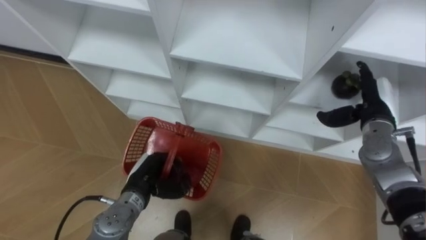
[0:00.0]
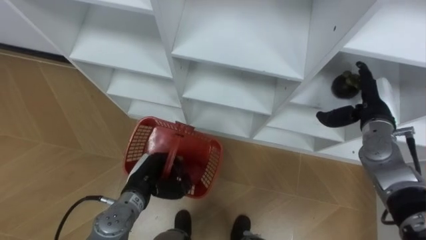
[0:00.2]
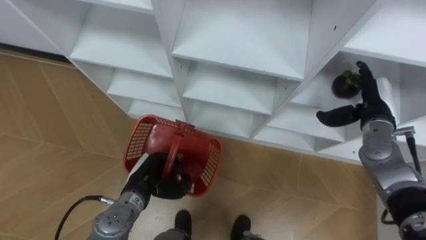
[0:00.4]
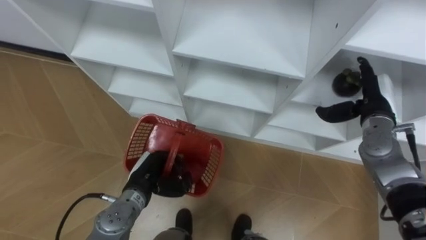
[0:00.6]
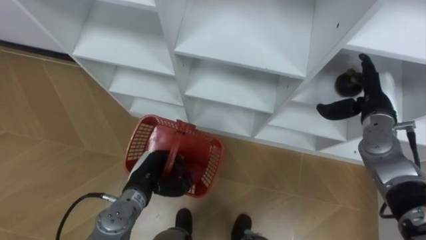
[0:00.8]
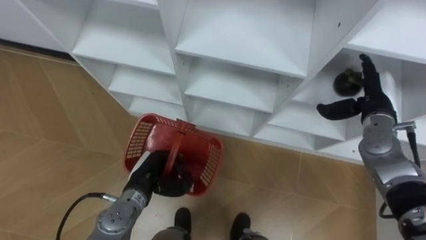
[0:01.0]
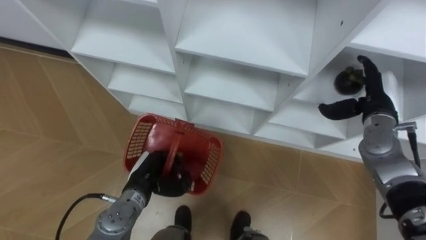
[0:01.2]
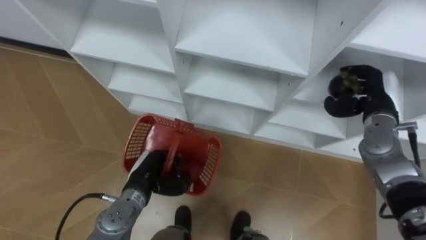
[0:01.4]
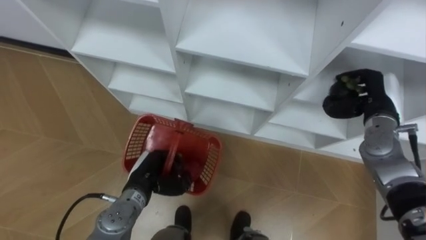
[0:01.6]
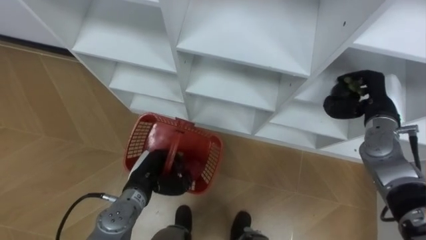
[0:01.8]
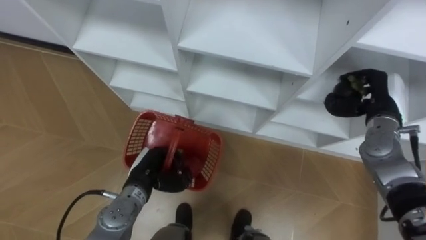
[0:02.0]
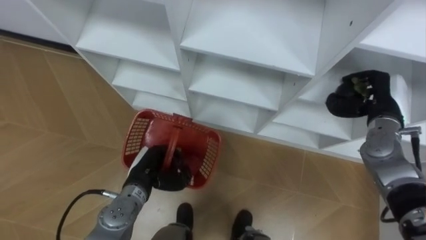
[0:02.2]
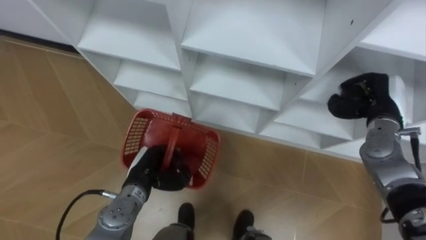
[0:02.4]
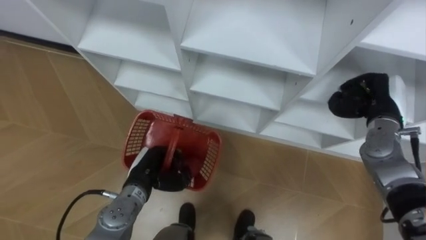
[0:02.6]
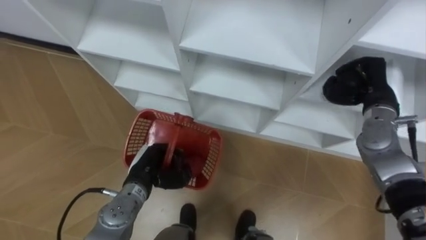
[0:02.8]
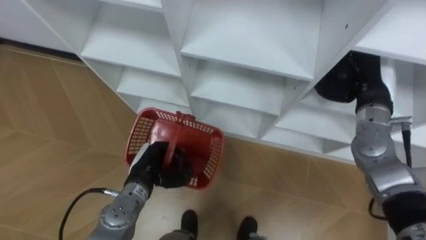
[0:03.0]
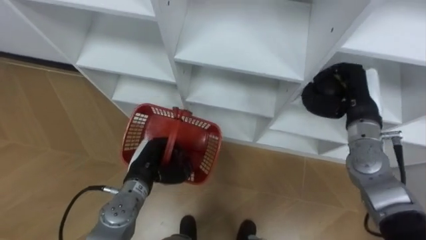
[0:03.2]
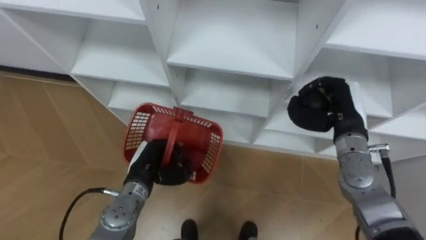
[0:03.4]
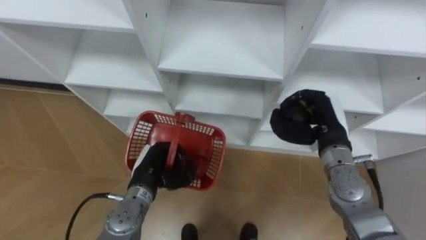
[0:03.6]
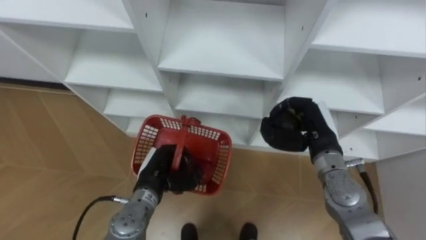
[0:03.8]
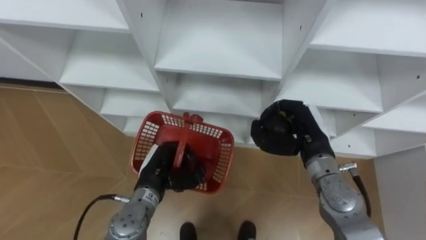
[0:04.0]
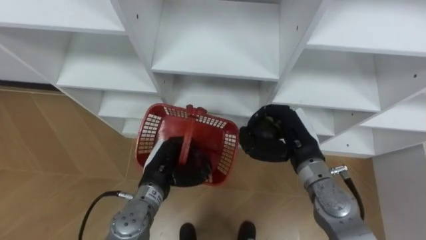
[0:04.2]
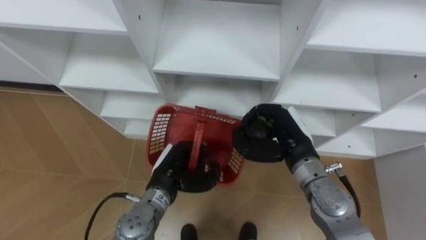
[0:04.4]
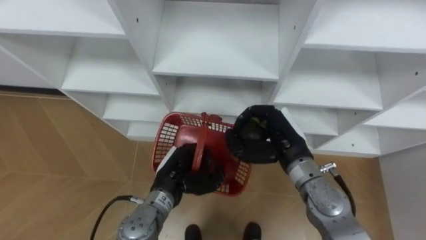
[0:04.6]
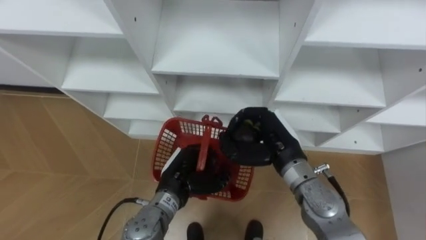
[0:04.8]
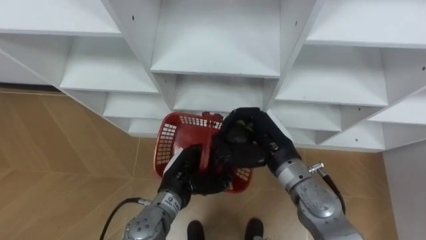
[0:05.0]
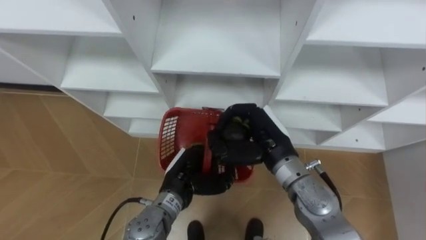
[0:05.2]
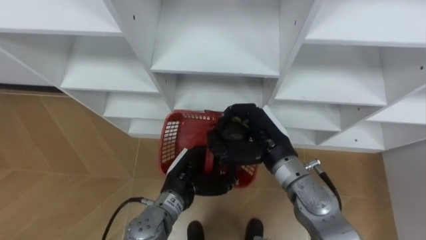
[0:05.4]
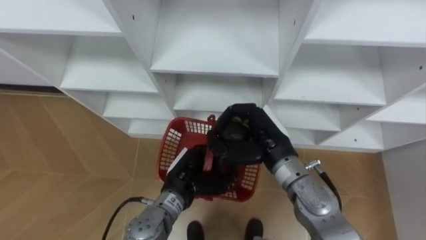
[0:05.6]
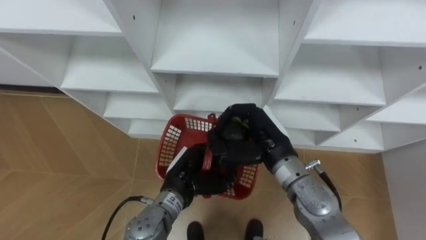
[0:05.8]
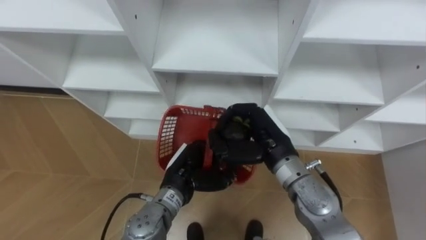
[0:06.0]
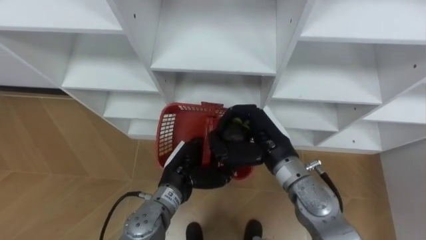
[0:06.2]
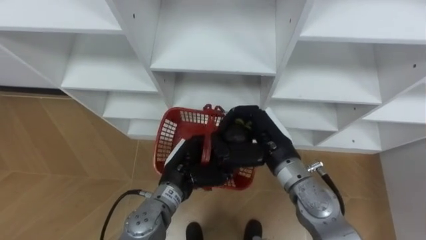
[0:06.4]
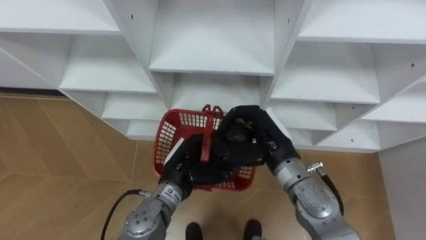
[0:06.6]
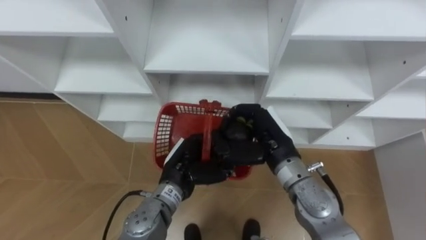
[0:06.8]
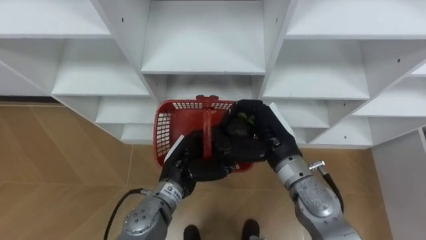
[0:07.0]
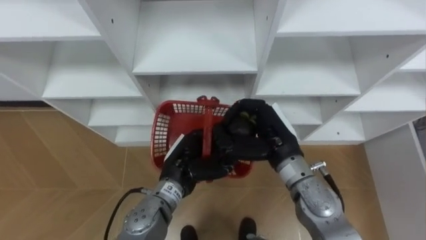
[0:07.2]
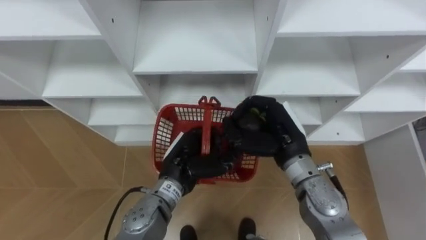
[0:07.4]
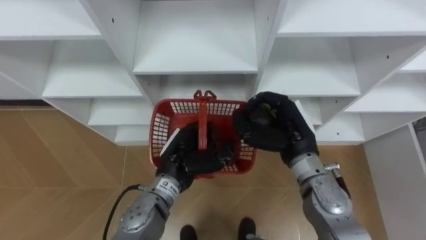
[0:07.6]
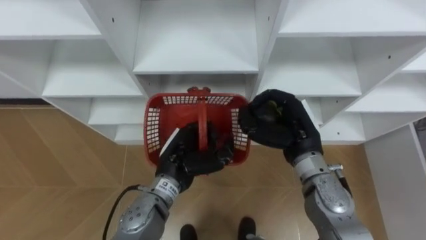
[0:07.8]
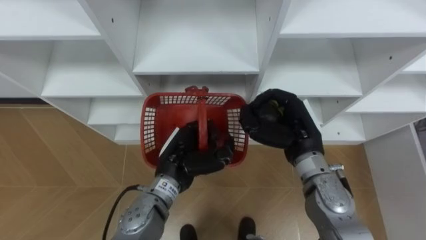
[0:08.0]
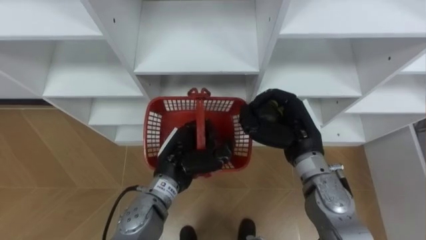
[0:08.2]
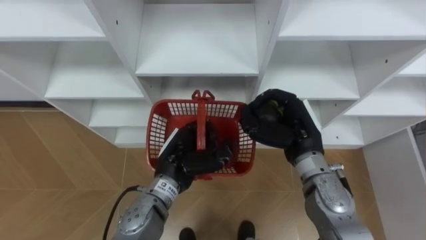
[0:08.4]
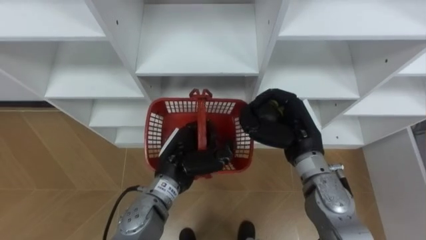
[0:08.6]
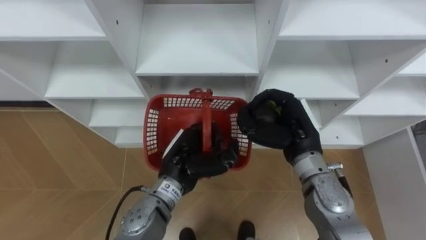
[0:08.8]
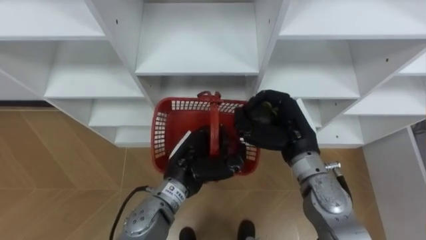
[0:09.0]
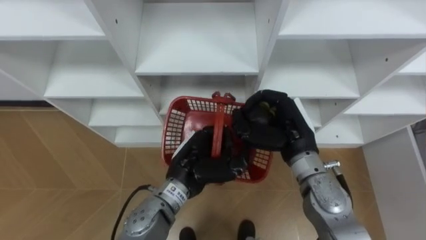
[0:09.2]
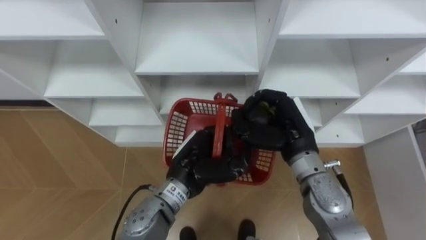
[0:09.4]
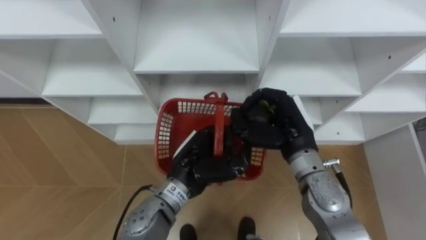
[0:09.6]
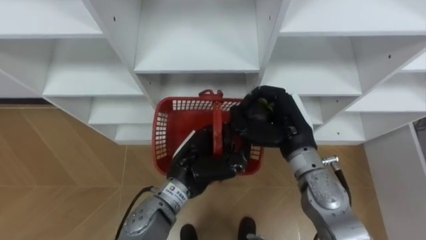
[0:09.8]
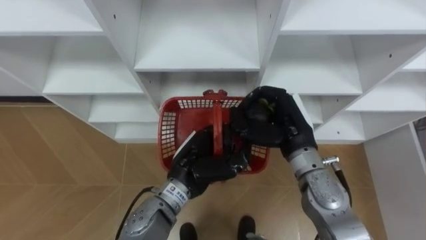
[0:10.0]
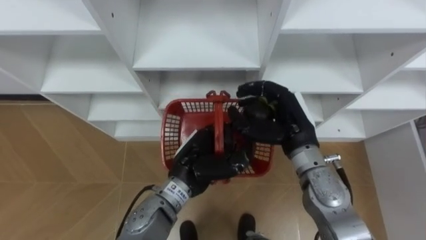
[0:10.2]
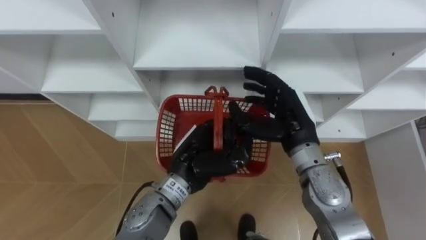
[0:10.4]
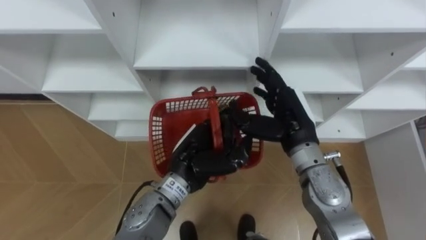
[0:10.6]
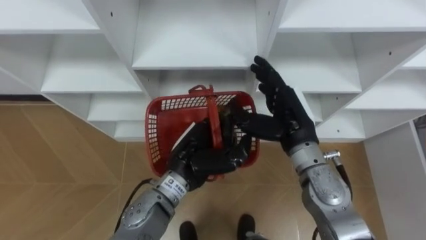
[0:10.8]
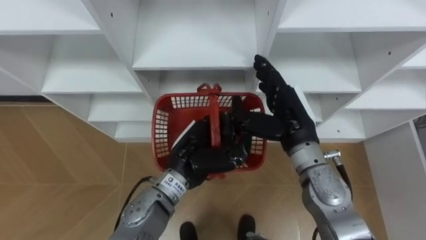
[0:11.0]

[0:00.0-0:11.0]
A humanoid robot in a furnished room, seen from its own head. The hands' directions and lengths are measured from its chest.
Task of the whole recording: Hold the basket and collect the fruits from 3 different cells of the closet into it.
0:00.0 to 0:01.6: The right hand closes its fingers.
0:01.6 to 0:03.2: The right hand moves roughly 5 cm.
0:03.2 to 0:04.8: The right hand travels to the left and backward by approximately 15 cm, while the left hand goes some 5 cm to the right.
0:04.8 to 0:06.2: The hands stay close to where they were, moving slightly.
0:06.2 to 0:07.8: The right hand heads to the right, covering approximately 5 cm.
0:07.8 to 0:09.4: There are only small adjustments of the hands.
0:09.4 to 0:11.0: The right hand opens up.

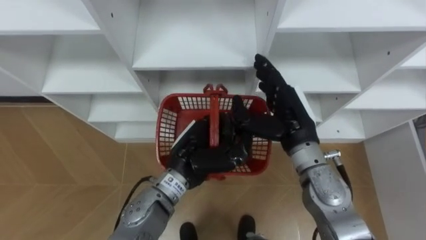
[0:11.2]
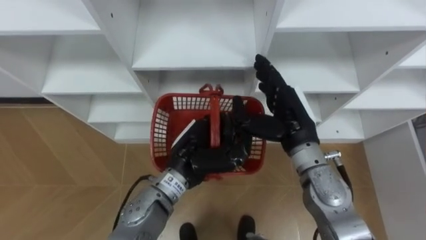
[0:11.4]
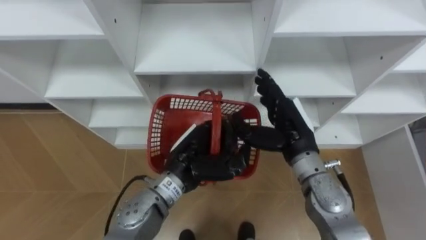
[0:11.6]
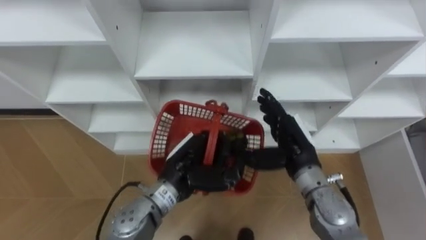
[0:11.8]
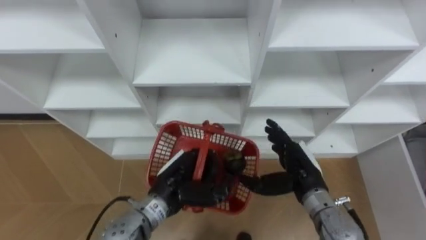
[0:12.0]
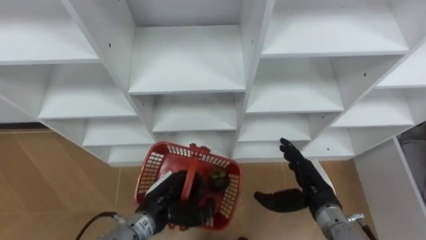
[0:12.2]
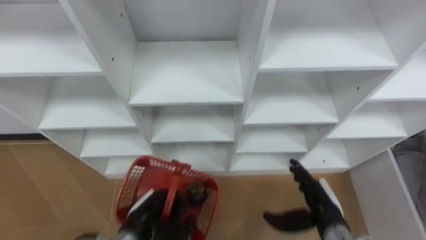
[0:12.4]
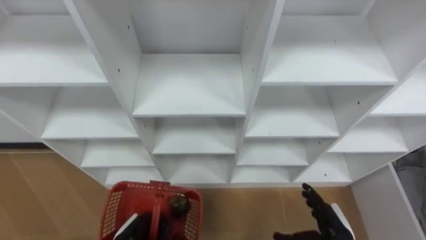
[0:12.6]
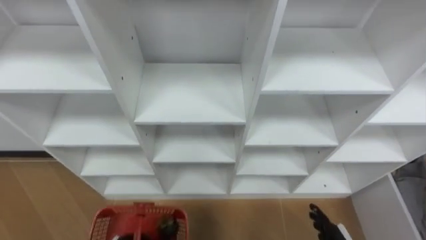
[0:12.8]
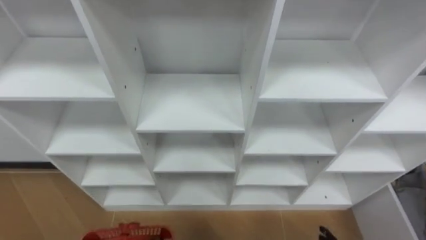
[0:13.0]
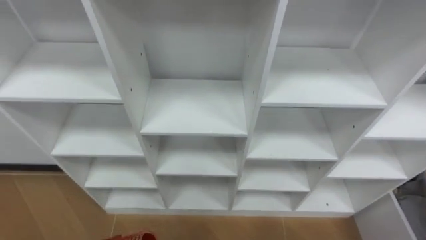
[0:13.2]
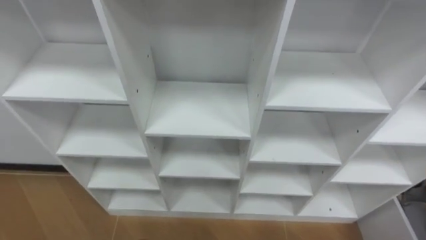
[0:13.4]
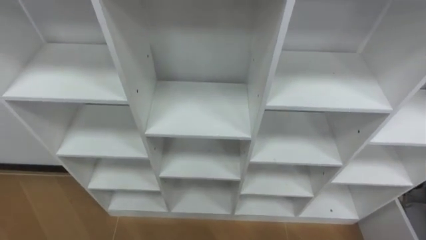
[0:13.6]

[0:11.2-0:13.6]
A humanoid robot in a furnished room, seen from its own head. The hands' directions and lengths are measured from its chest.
Task of the whole recording: Hold the basket and collect the fruits from 3 different cells of the closet into it.
0:11.2 to 0:12.4: The right hand heads downward, backward and to the right, covering approximately 20 cm. The left hand shifts roughly 20 cm downward, to the left and backward.

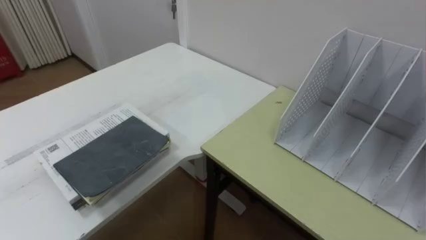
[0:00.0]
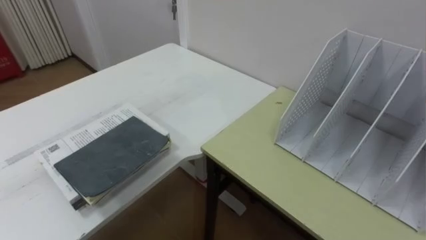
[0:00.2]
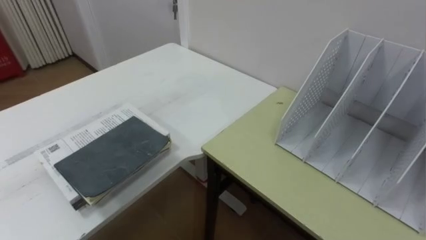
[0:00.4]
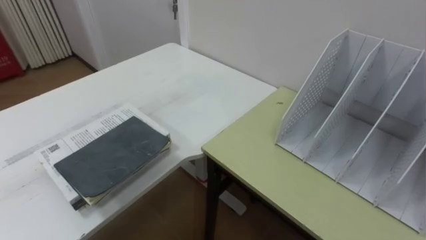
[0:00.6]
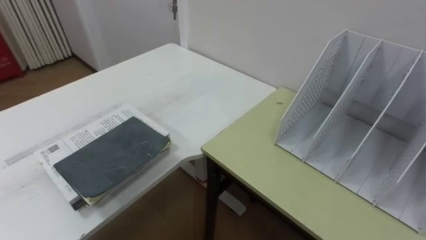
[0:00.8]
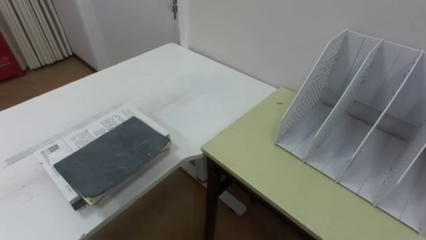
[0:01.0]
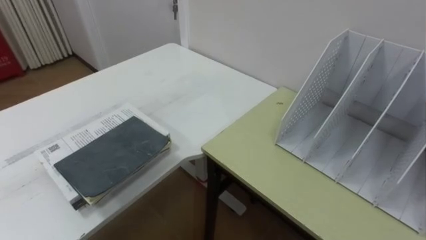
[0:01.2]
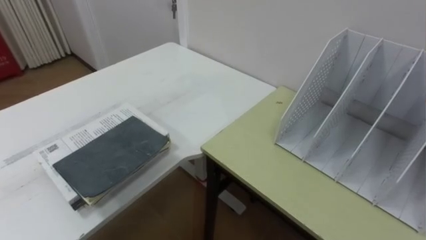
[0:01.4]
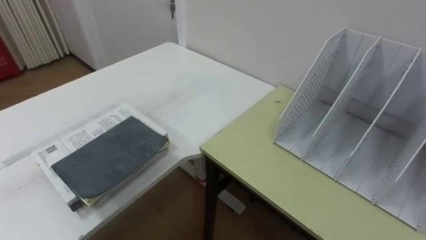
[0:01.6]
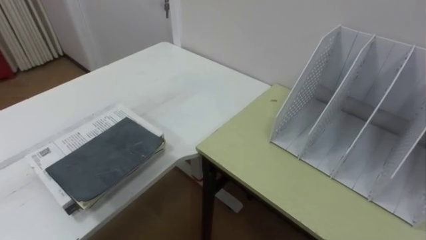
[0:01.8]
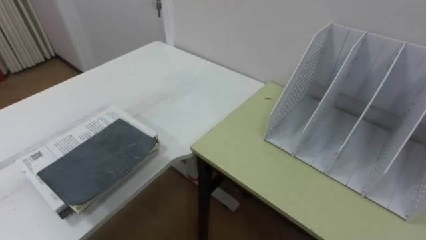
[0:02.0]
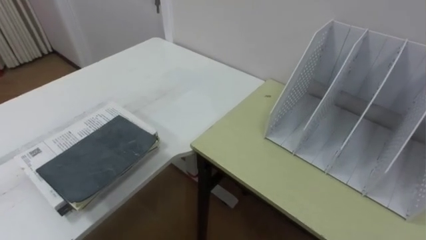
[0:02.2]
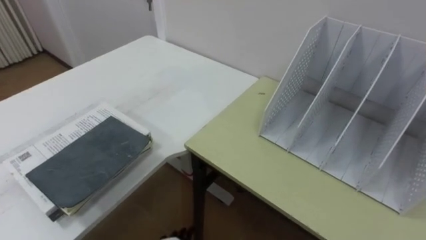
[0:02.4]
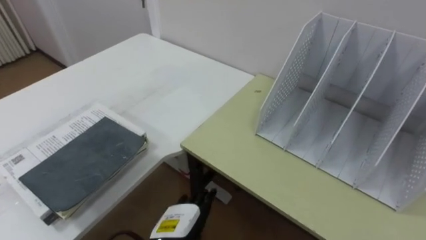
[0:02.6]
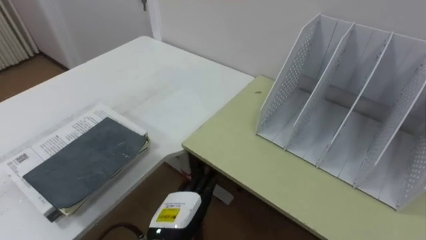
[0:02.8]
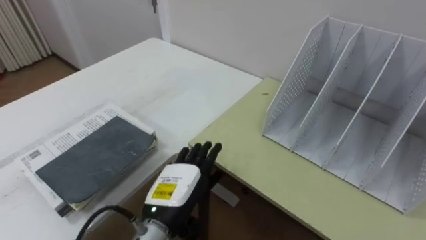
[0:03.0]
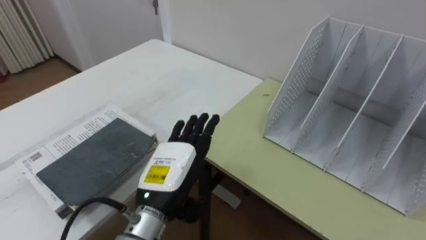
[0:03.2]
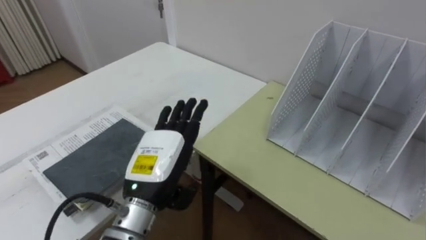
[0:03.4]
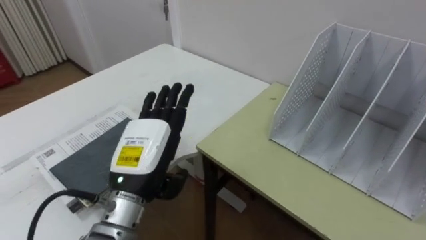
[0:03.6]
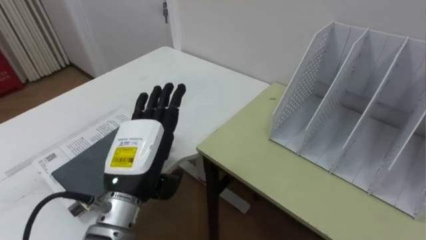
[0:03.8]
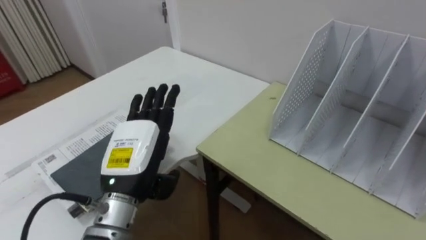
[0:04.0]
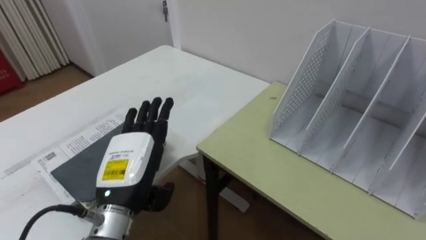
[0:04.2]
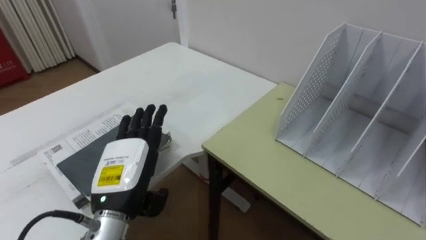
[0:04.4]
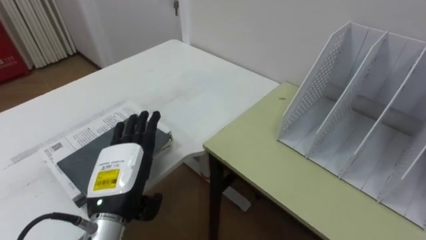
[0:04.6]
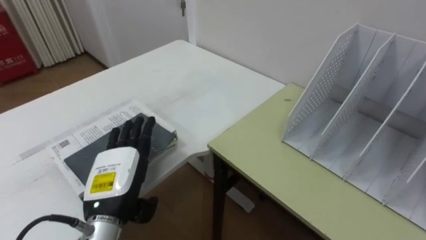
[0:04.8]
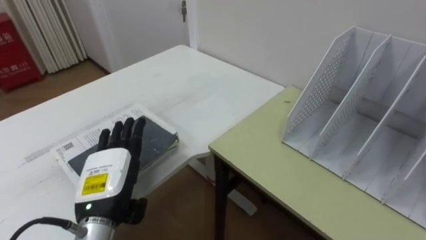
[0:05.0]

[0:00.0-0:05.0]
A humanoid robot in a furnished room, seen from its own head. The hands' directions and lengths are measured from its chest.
Task of the whole recording: Put the books on the table onto the bookshelf.
0:03.4 to 0:05.0: The left hand travels to the left by approximately 10 cm.
